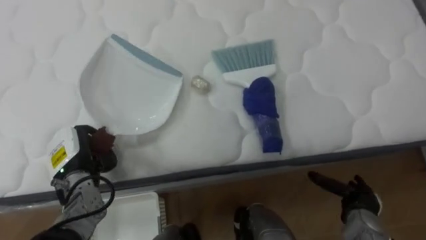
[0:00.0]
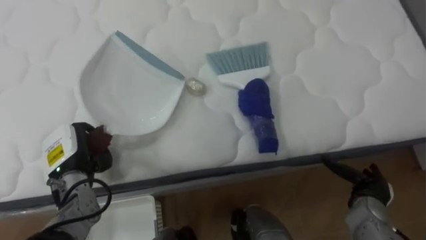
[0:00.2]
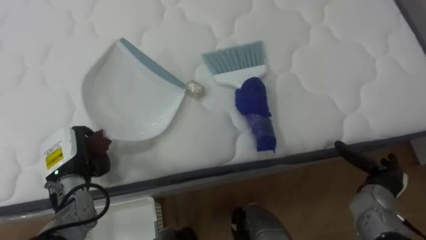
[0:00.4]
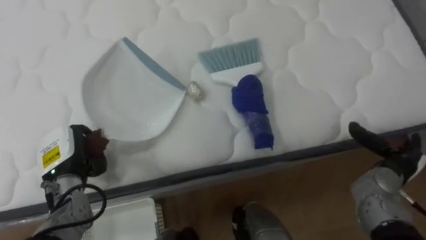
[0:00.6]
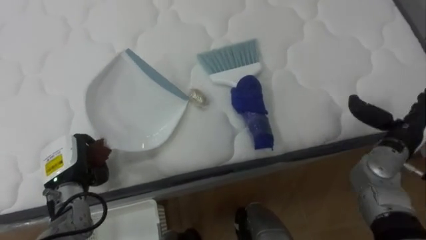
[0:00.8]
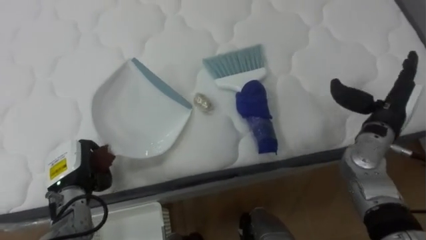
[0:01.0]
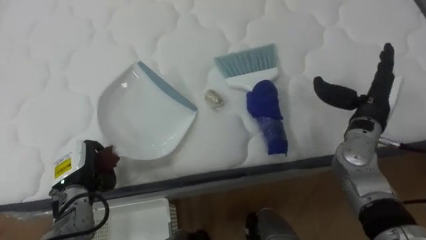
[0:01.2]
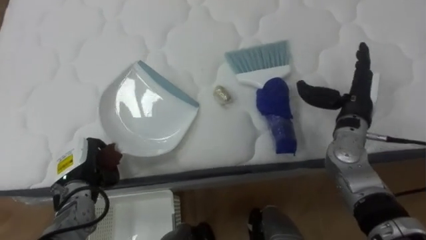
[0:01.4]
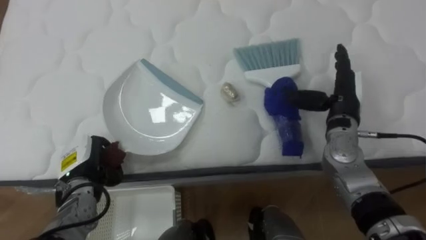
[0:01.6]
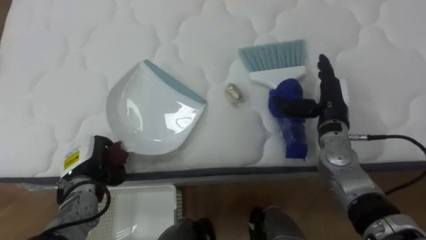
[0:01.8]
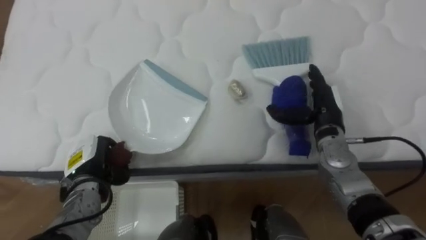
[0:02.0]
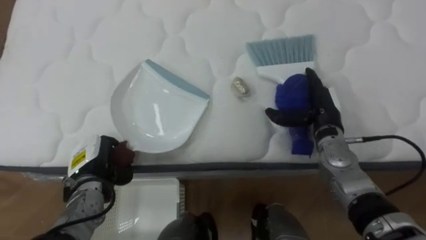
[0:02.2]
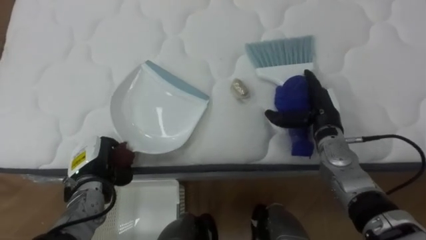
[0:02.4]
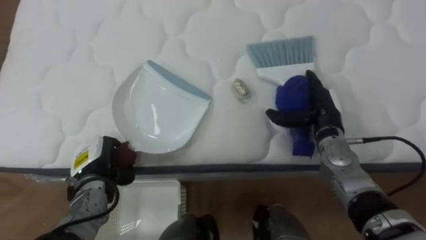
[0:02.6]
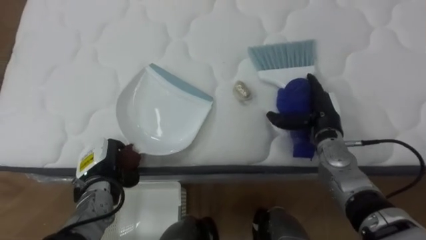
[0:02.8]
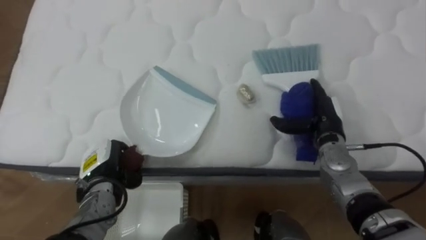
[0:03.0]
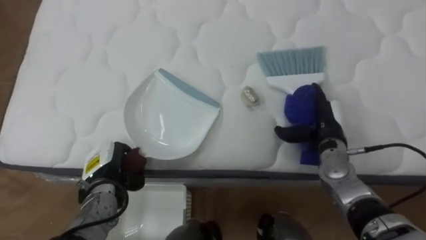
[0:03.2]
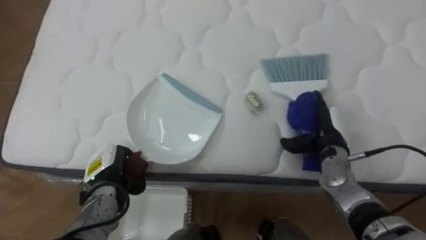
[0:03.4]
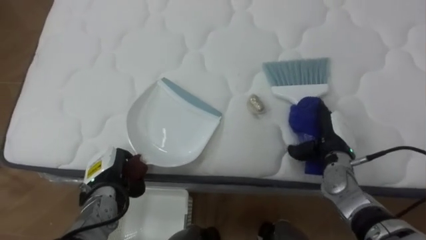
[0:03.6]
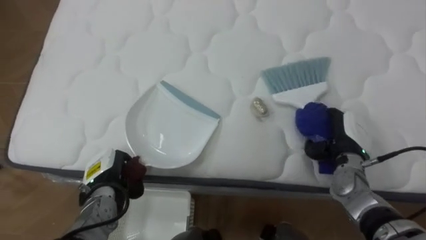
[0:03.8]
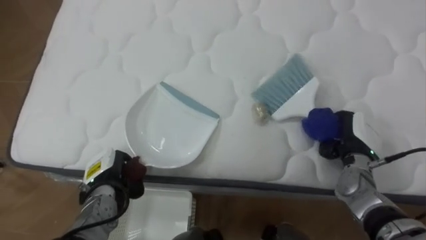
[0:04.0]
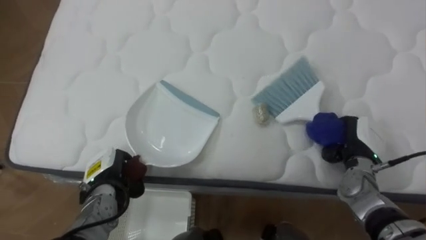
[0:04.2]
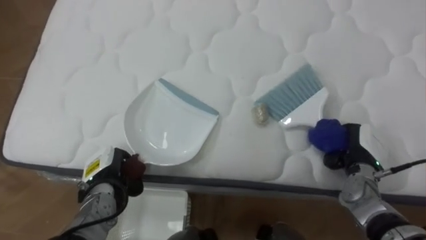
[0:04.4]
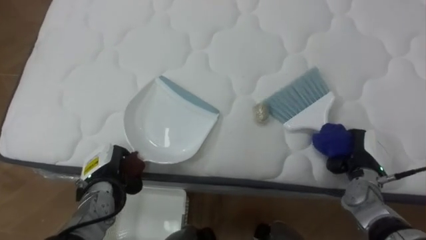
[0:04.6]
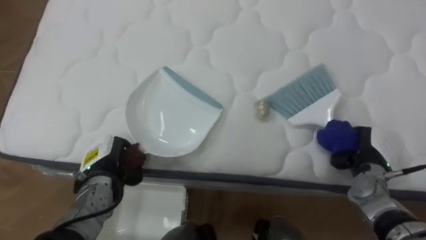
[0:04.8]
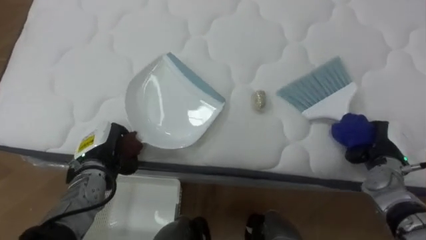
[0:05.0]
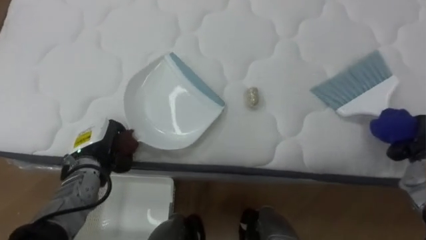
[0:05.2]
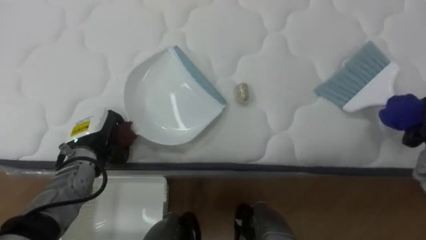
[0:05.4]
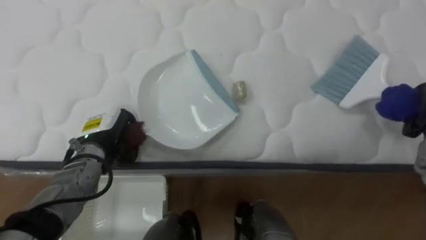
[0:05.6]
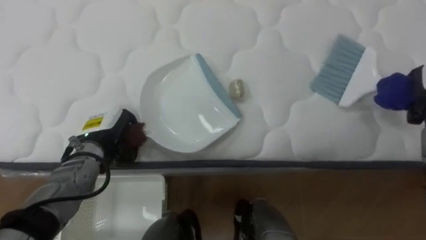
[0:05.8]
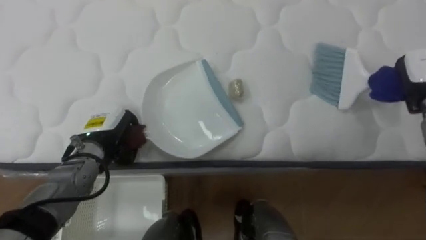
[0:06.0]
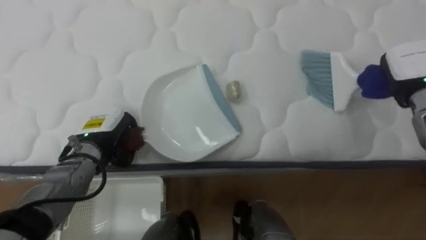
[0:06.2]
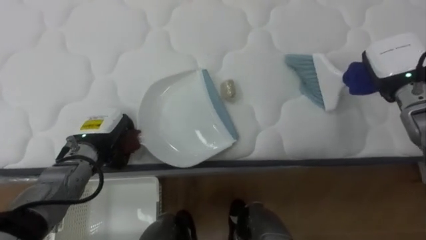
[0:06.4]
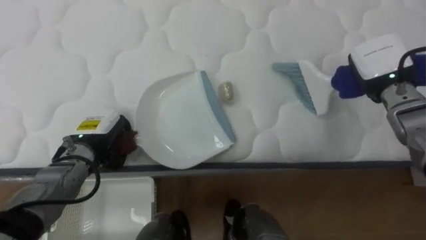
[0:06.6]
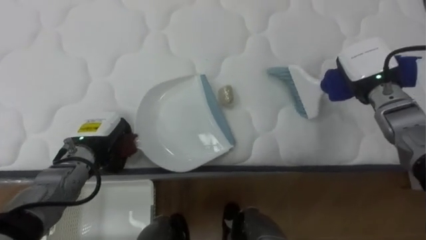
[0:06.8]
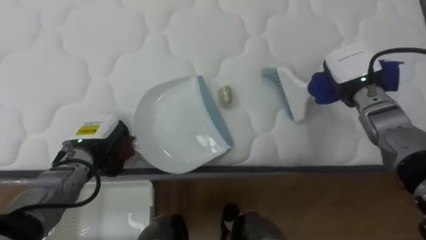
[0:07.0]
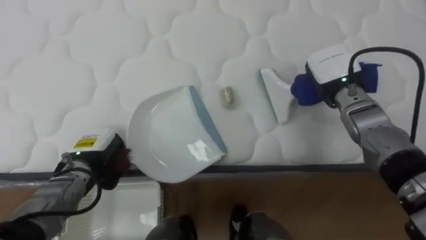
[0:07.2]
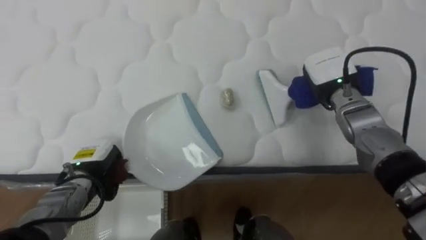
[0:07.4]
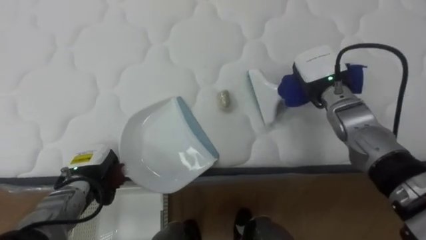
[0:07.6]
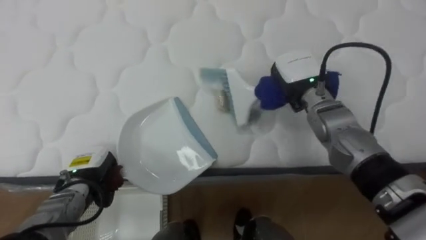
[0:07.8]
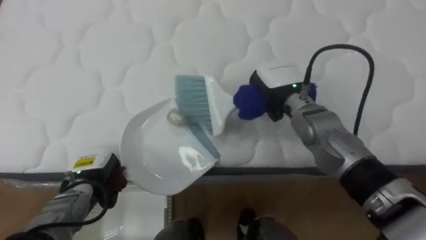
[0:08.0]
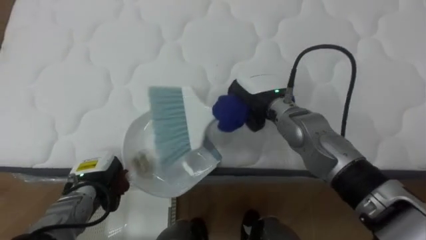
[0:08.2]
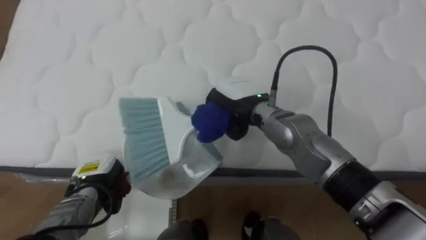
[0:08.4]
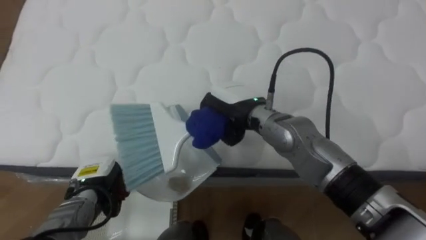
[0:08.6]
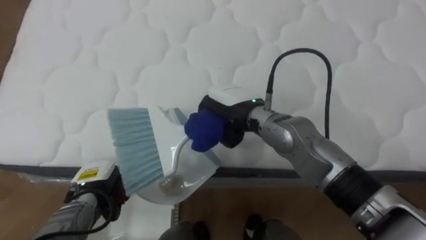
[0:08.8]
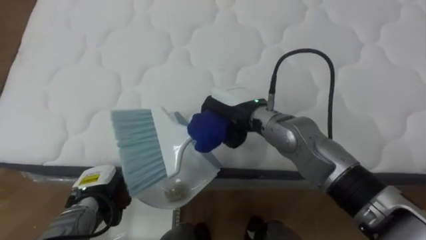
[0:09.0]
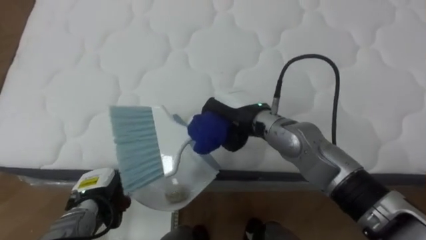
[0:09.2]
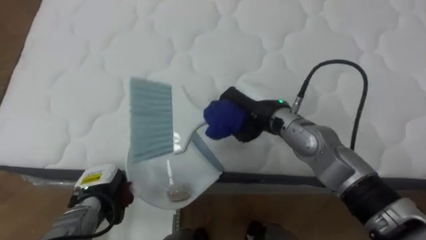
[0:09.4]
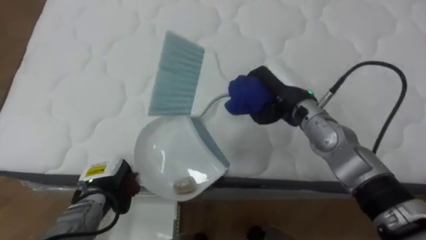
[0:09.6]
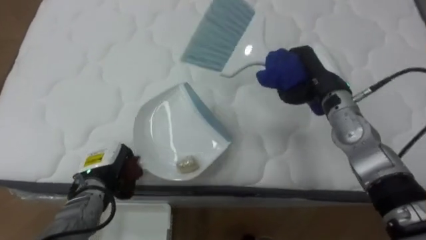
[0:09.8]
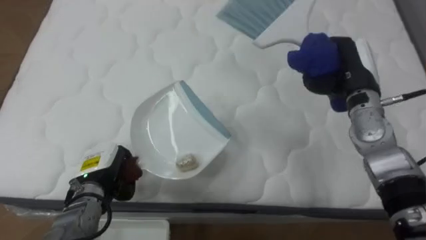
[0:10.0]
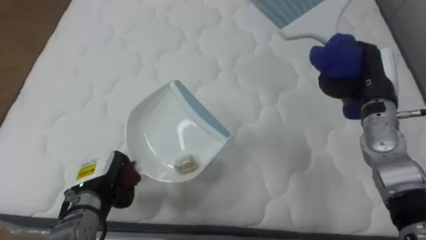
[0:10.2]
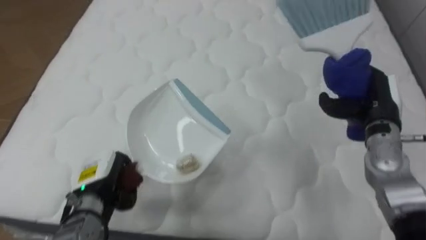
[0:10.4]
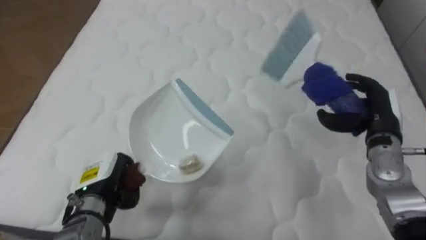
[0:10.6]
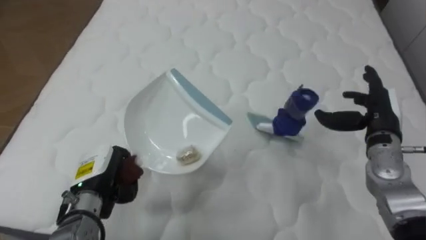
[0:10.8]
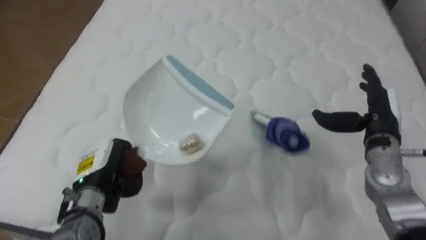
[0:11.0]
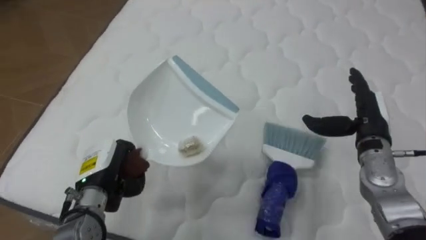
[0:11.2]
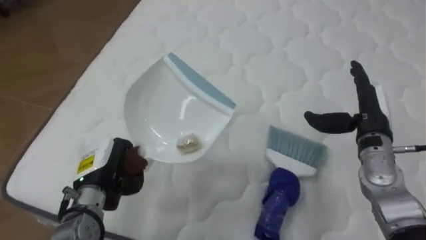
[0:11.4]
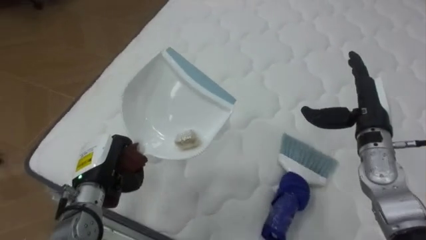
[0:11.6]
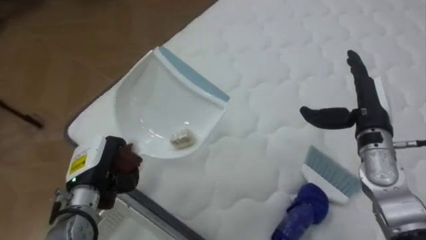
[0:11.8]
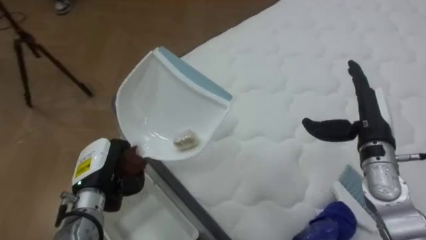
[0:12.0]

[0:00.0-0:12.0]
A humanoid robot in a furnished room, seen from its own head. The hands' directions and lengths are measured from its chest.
Task of the whole recording: Pick up the brush on your right and the dustpan on your left. Use the brush to sweep the crumpled paper on the bed into the dustpan, then turn left and empty it into the basket.
0:00.0 to 0:01.6: The right hand goes roughly 25 cm upward and forward.
0:01.6 to 0:03.0: The right hand moves downward, some 5 cm.
0:03.0 to 0:04.4: The right hand moves to the right and backward, some 10 cm, and closes its fingers.
0:04.4 to 0:06.0: The left hand travels upward and forward by about 10 cm.
0:06.0 to 0:07.6: The left hand travels downward and backward by roughly 10 cm.
0:07.6 to 0:09.0: The right hand shifts some 15 cm to the left.
0:09.0 to 0:10.4: The left hand moves roughly 5 cm. The right hand travels to the right by some 25 cm.
0:10.4 to 0:12.0: The robot's body swings some 35 degrees to its left. The right hand opens its fingers.

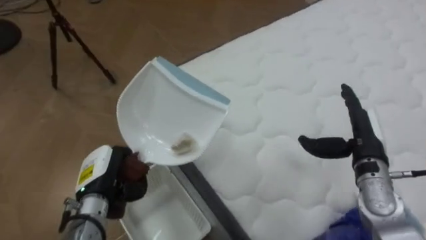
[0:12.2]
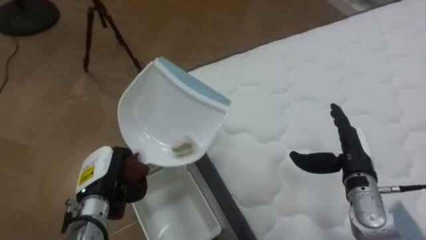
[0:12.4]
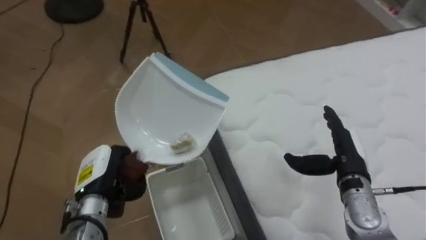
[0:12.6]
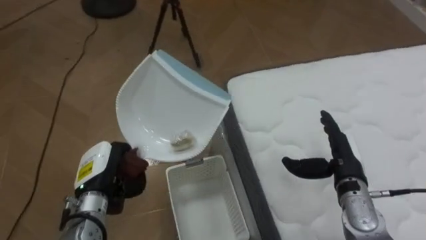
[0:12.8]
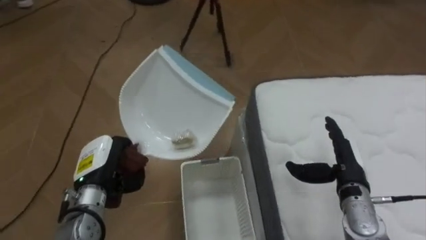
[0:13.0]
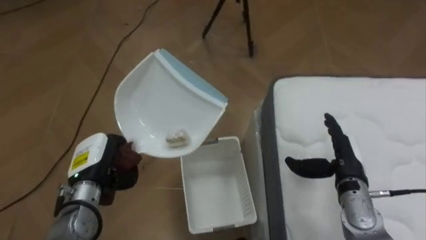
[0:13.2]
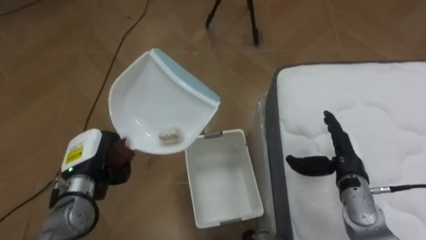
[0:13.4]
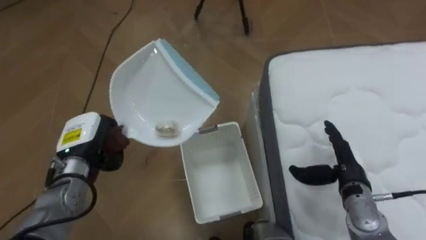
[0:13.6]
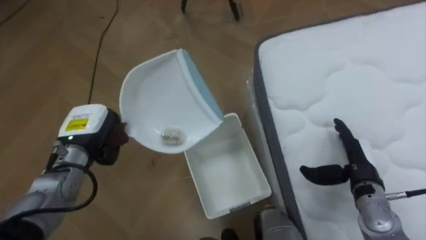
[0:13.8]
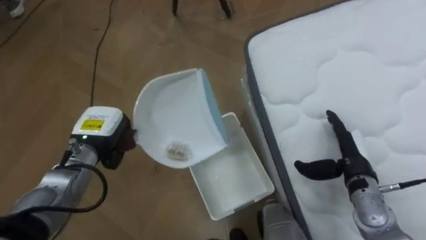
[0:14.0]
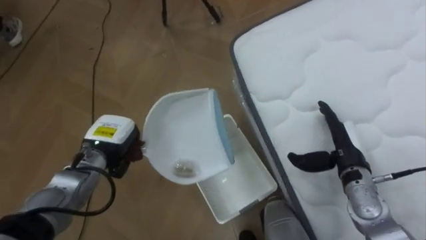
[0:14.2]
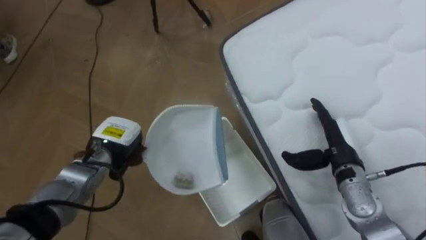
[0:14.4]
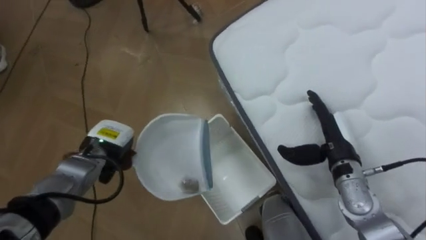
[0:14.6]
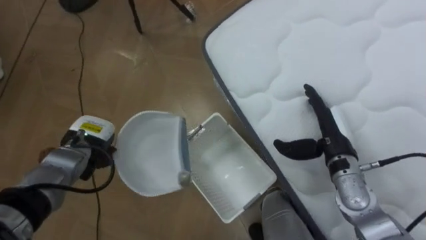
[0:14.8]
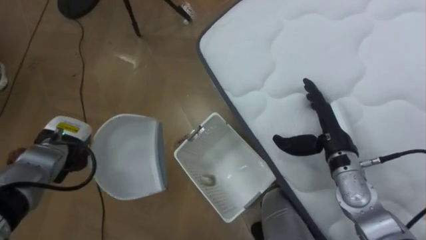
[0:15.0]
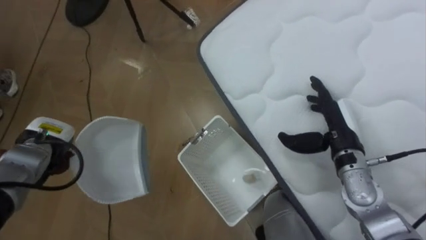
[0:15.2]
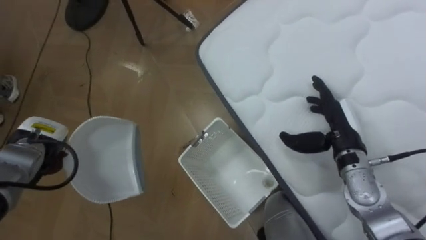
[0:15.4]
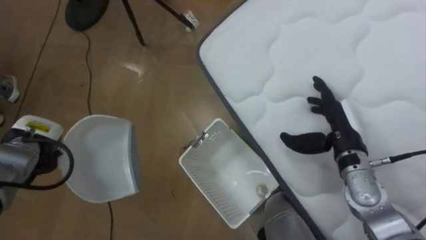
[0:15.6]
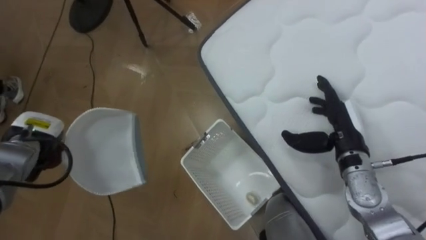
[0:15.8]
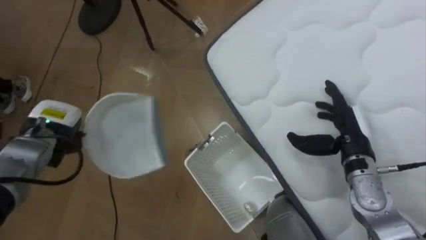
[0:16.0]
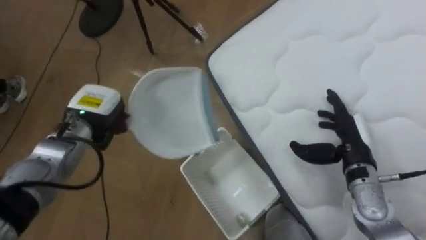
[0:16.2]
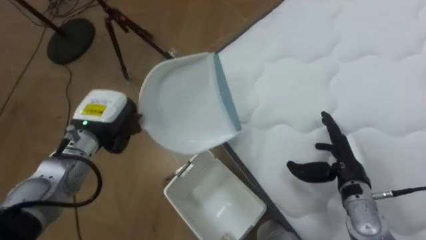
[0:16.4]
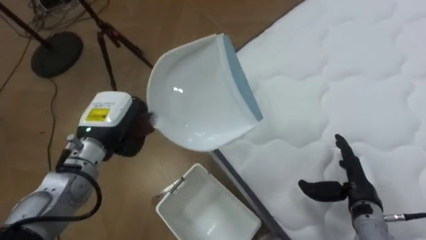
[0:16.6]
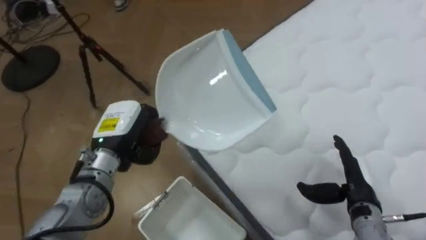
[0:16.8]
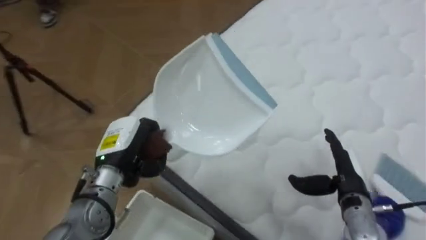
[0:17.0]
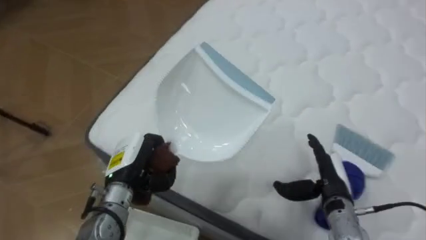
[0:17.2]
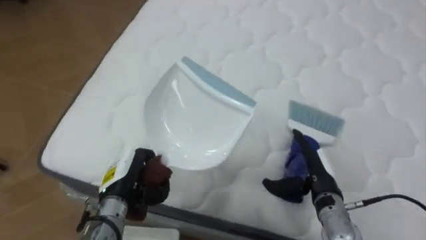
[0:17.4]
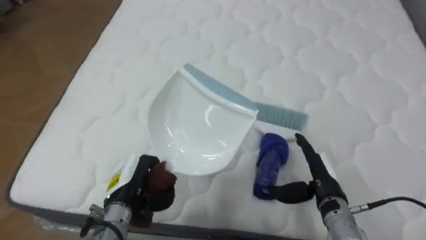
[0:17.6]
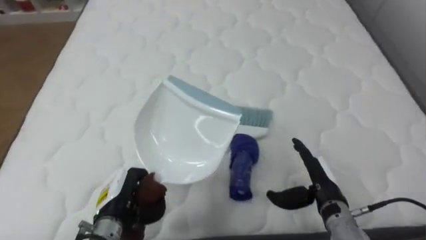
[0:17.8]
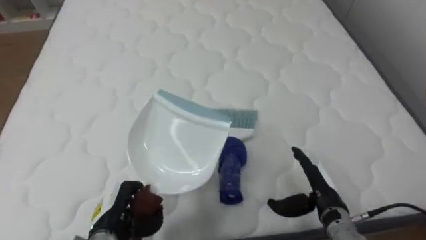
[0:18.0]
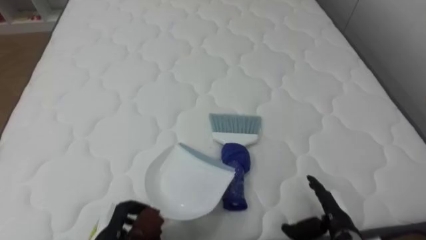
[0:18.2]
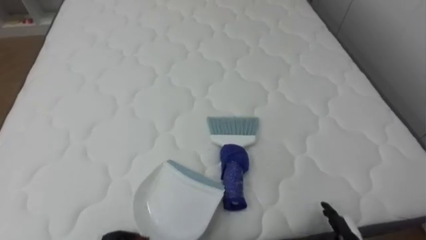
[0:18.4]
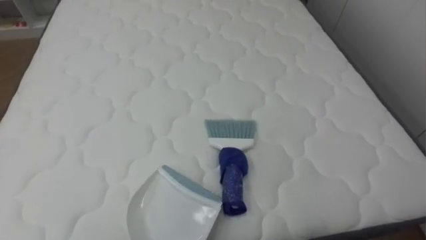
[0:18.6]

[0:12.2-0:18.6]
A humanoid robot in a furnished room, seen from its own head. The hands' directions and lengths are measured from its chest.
Task of the whole recording: Pick up the brush on your right and the dustpan on your left. Use the brush to sweep the crumpled paper on the bed into the dustpan, then turn left and empty it into the basket.
0:12.2 to 0:13.8: The robot rotates roughly 45 degrees to its left. The left hand heads forward, covering approximately 10 cm. Meanwhile the right hand travels downward by about 5 cm.
0:13.8 to 0:15.4: The right hand travels upward by about 5 cm; the left hand is displaced to the left by roughly 10 cm.
0:15.4 to 0:17.0: The left hand moves to the right, about 15 cm; the right hand shifts about 10 cm downward and backward.
0:17.0 to 0:18.6: The robot rotates about 50 degrees to its right.
